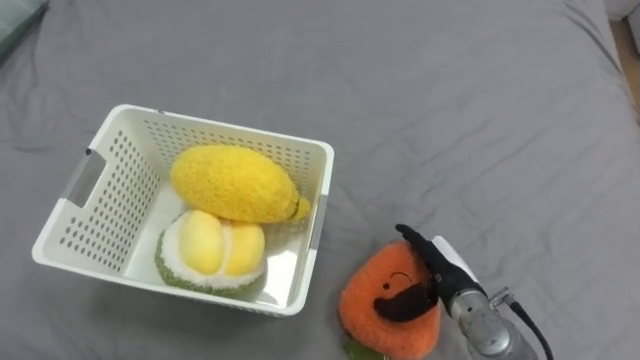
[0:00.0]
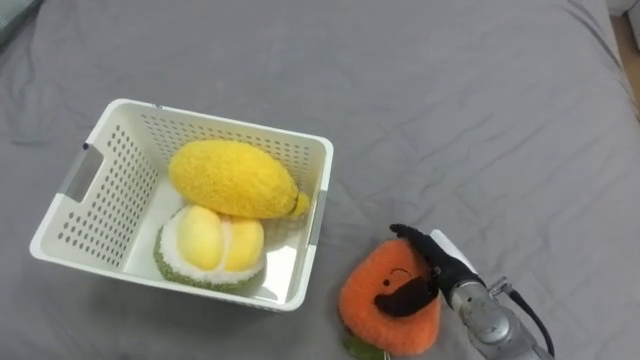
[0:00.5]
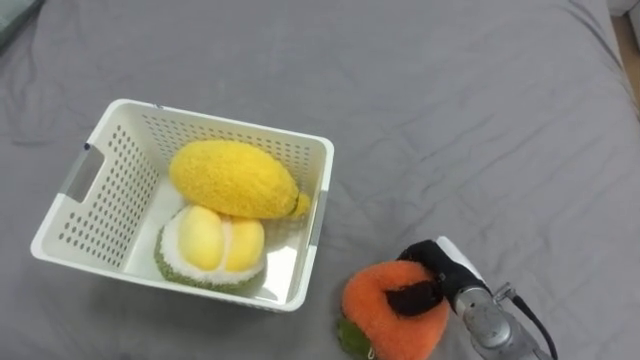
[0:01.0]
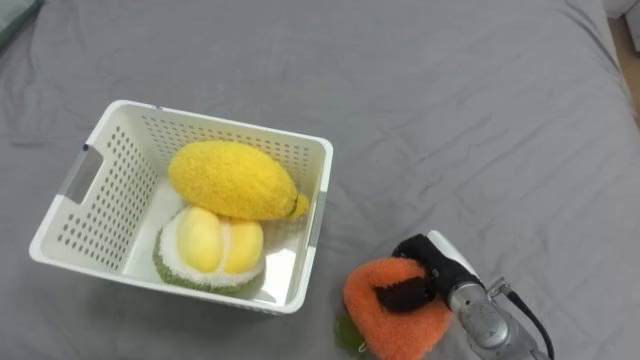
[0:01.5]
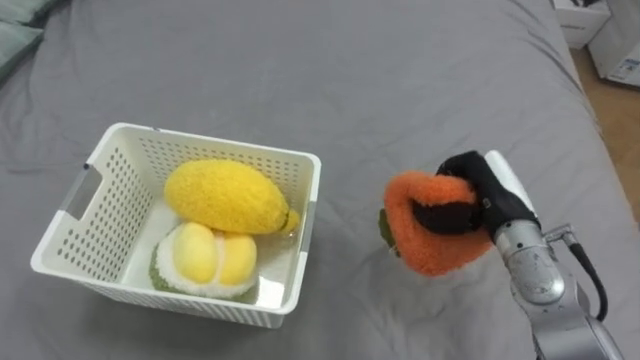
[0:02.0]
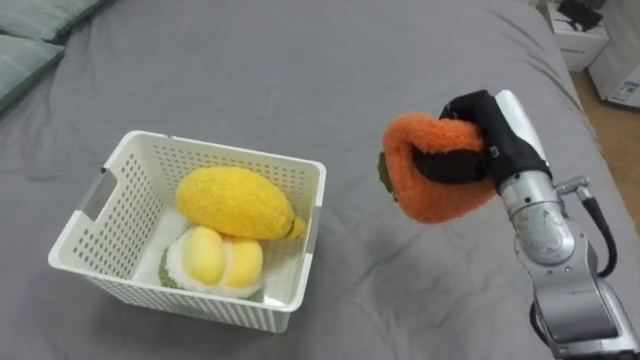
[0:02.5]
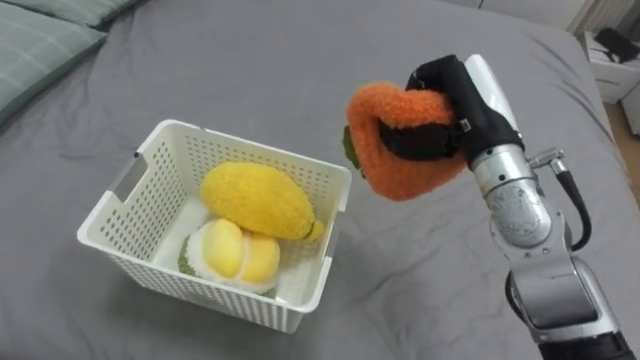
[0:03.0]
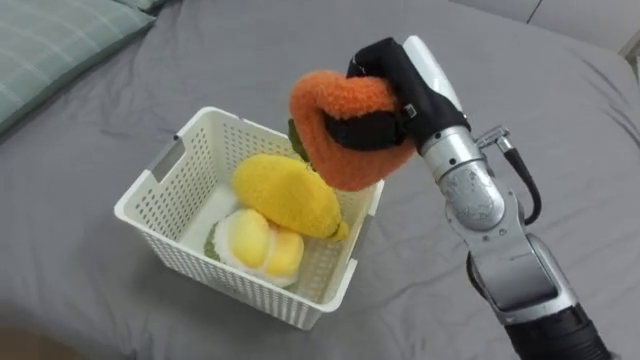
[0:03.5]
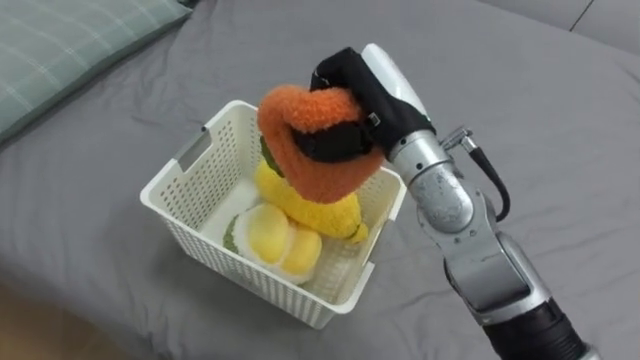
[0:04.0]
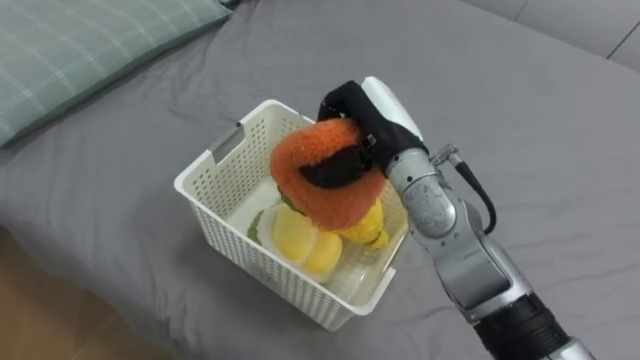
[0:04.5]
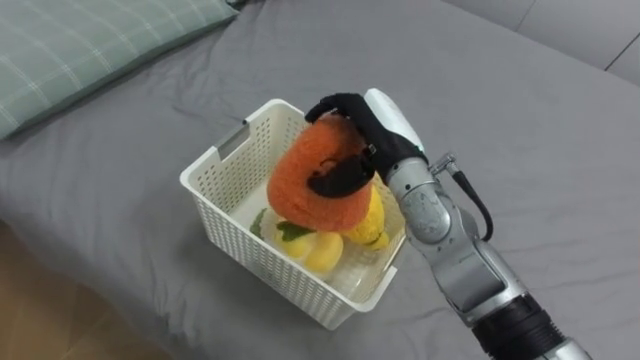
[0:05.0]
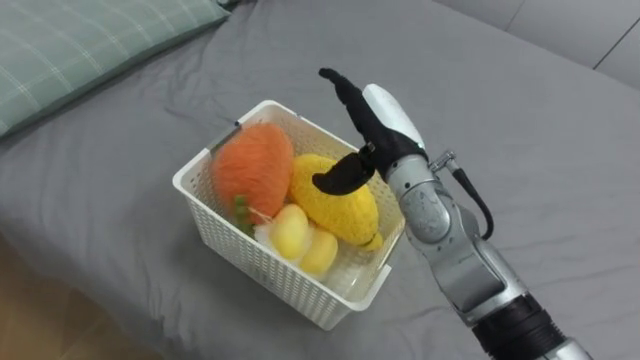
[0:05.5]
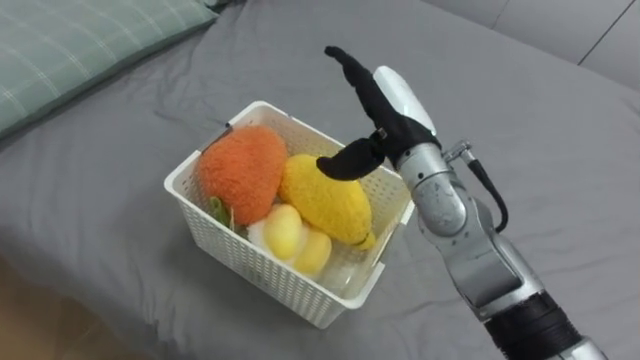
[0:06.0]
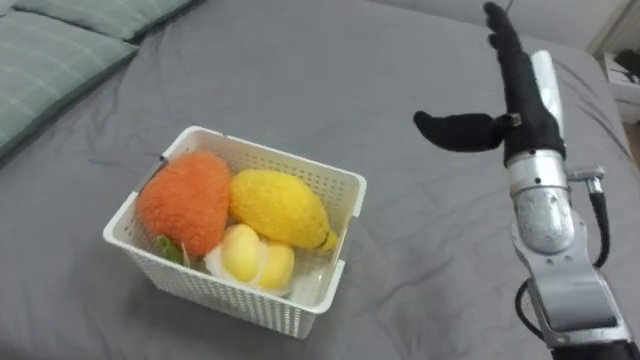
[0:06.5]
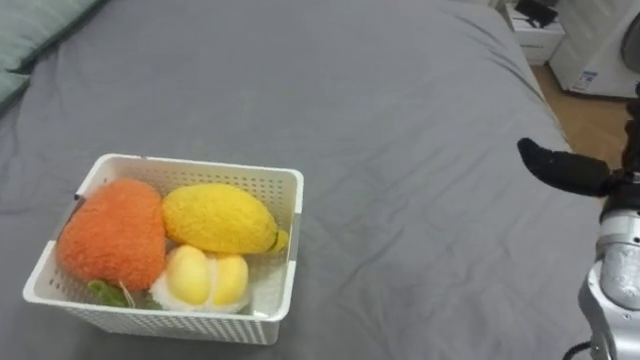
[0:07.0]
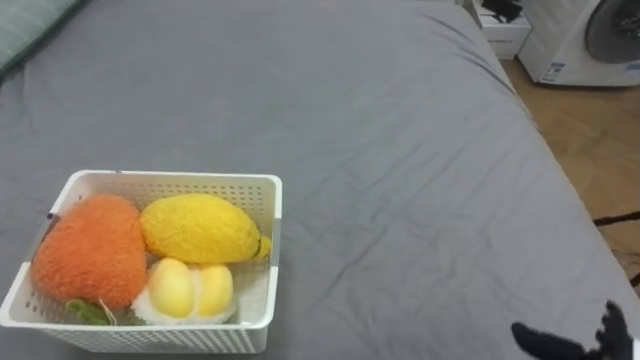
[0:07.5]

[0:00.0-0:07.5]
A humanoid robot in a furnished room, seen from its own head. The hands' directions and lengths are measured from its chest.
Task of the whole recording: Put the toys on the bed into the basket on the left.
0:00.0 to 0:02.0: The right hand is displaced upward and forward by some 15 cm, and closes.
0:02.0 to 0:04.0: The right hand is displaced to the left and upward by roughly 20 cm.
0:04.0 to 0:05.5: The right hand shifts approximately 5 cm downward, and opens its fingers.

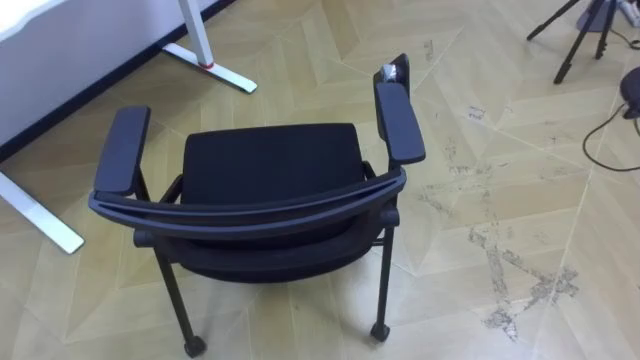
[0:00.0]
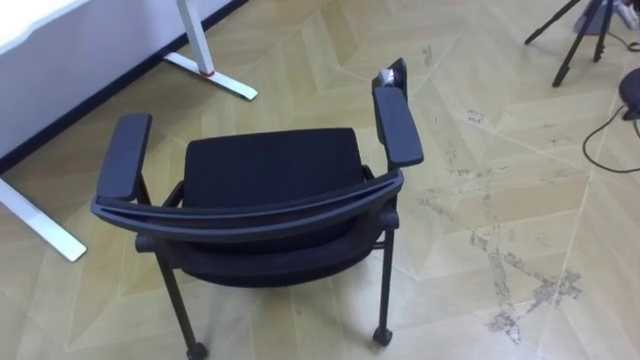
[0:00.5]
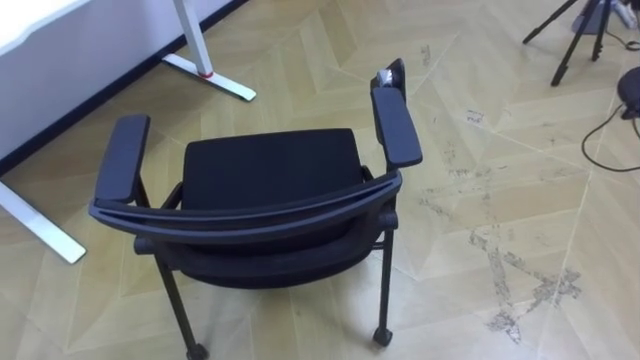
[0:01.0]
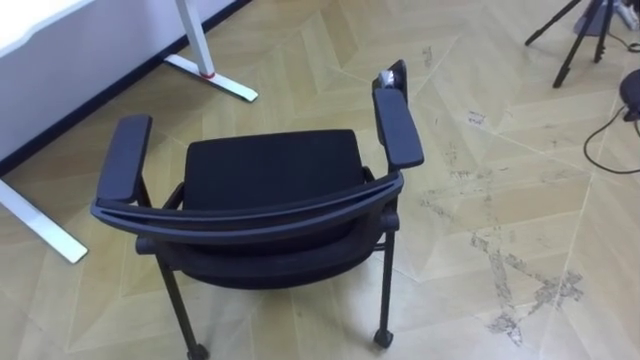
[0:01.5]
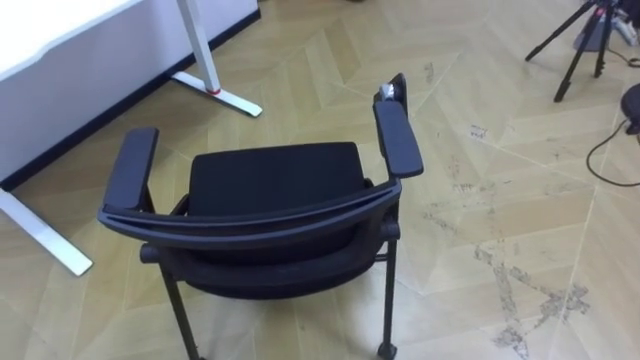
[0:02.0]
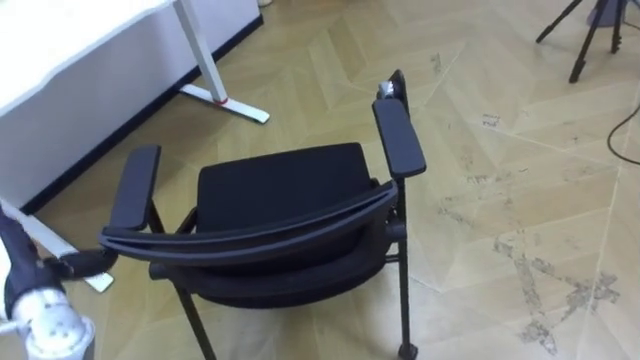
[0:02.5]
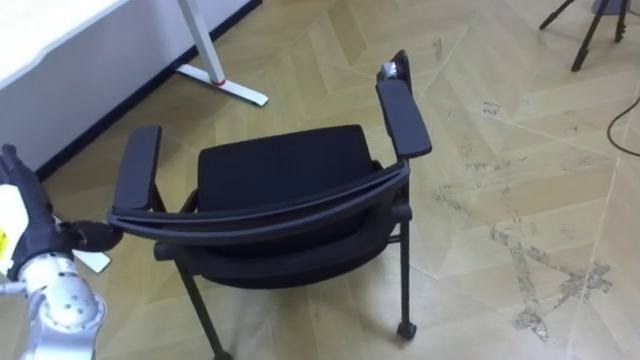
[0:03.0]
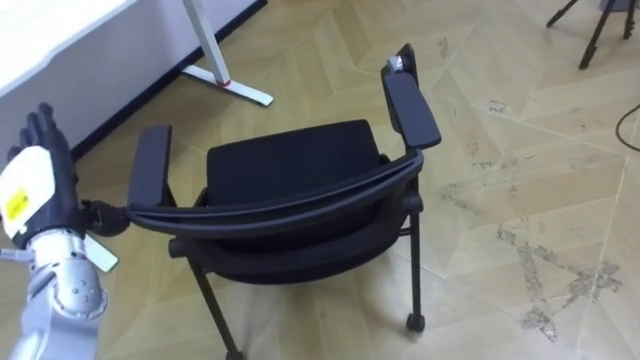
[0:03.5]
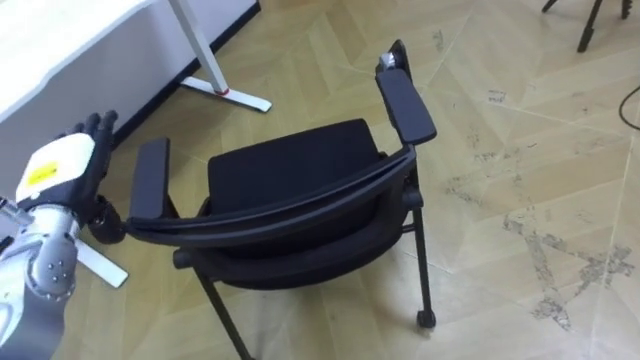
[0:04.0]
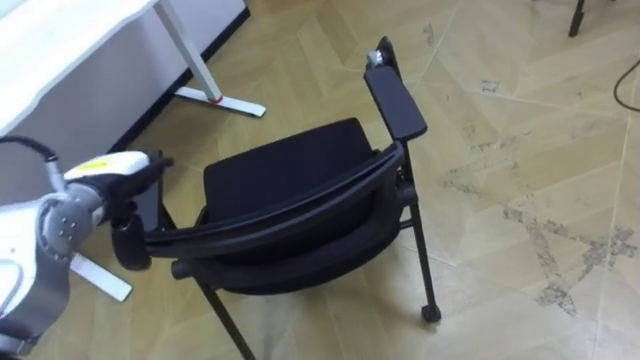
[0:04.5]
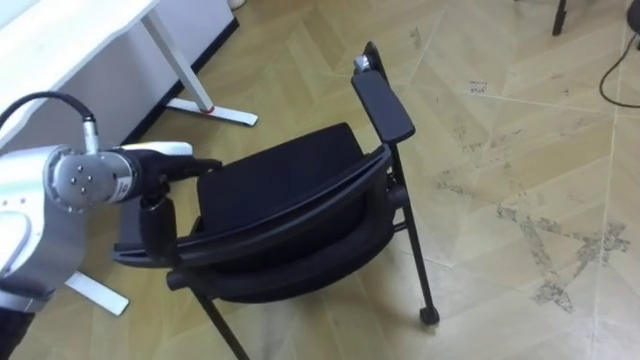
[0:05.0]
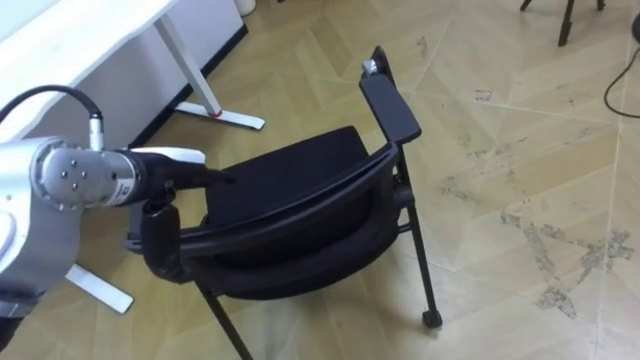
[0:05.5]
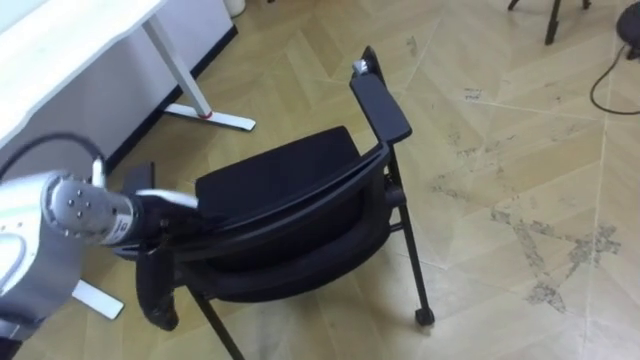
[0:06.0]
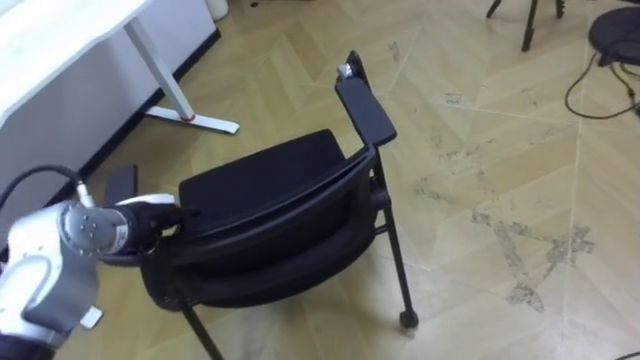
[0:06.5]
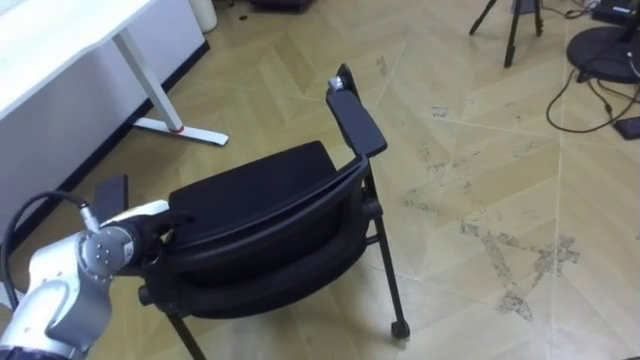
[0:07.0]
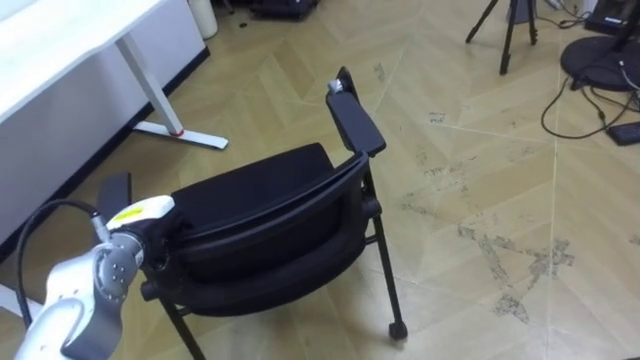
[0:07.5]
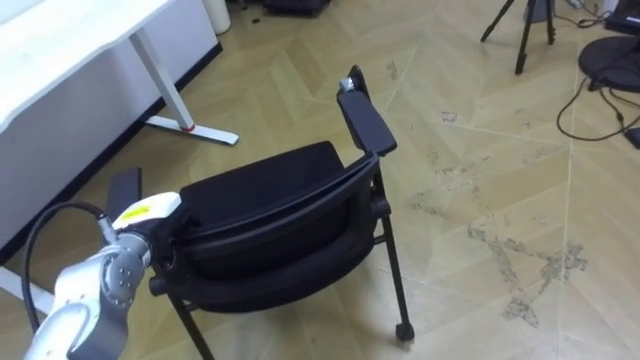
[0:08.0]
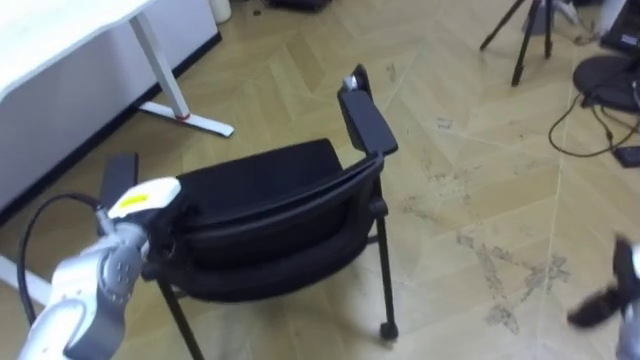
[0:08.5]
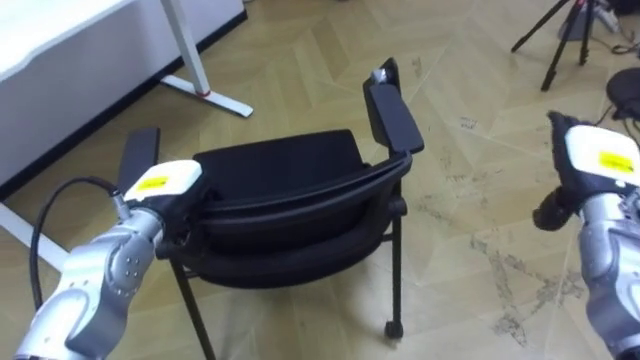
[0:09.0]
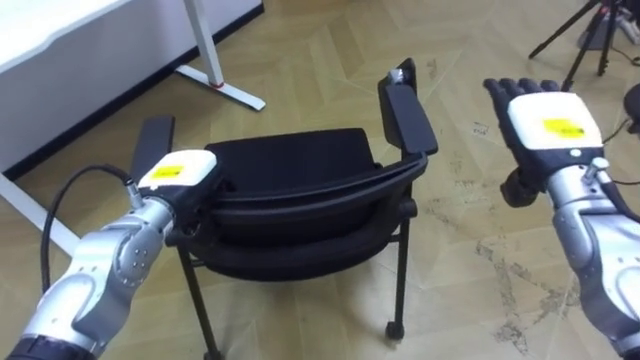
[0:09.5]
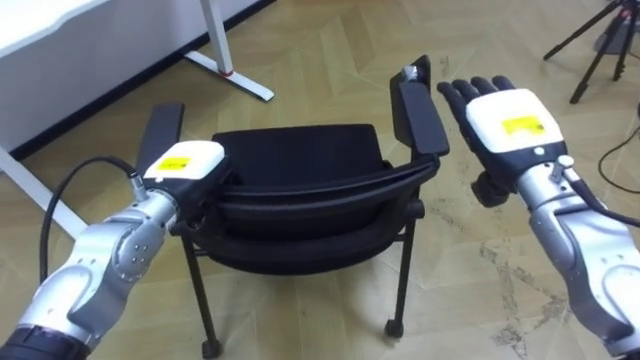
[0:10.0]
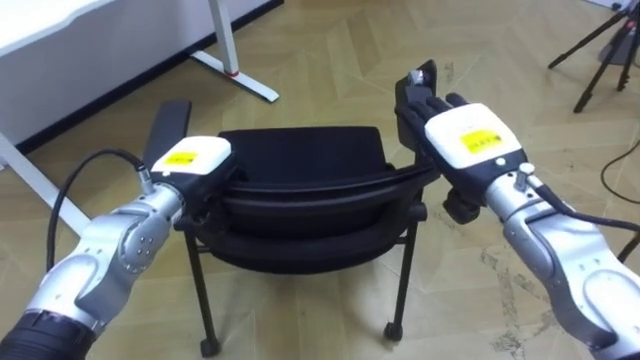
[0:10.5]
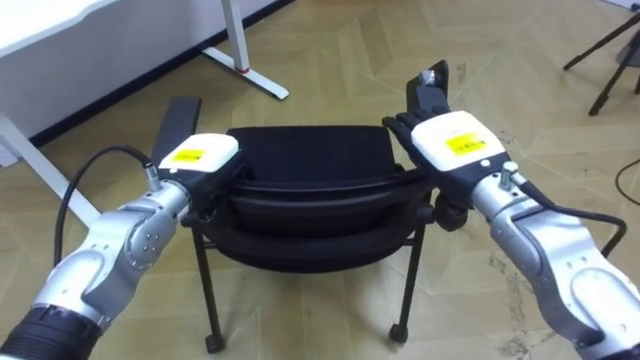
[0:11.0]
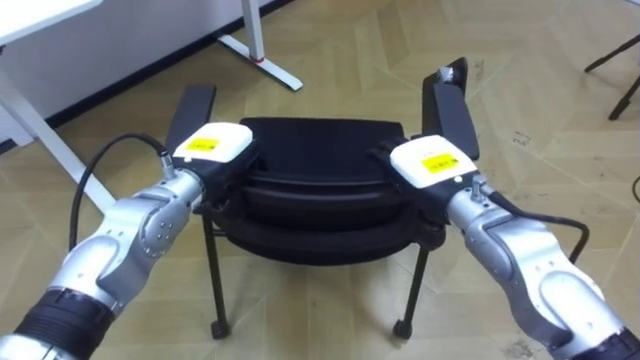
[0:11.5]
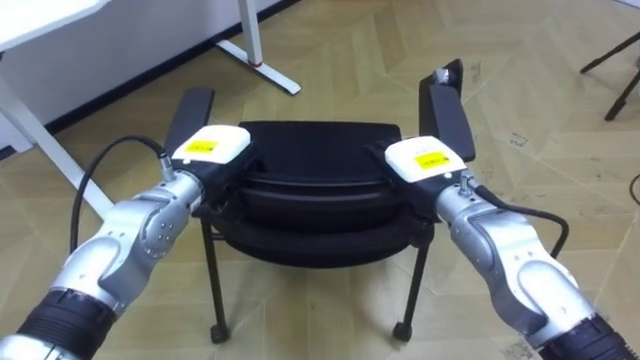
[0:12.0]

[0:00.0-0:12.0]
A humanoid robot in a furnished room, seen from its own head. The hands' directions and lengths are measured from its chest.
Task of the whole recording: Push the chair under the table.
0:04.0 to 0:06.0: The left hand is displaced to the right by about 10 cm.
0:06.0 to 0:08.0: The left hand heads downward, covering approximately 10 cm, and closes up.
0:08.0 to 0:10.0: The left hand goes roughly 10 cm upward and to the right.
0:10.0 to 0:12.0: The right hand is displaced to the left and downward by roughly 10 cm.
